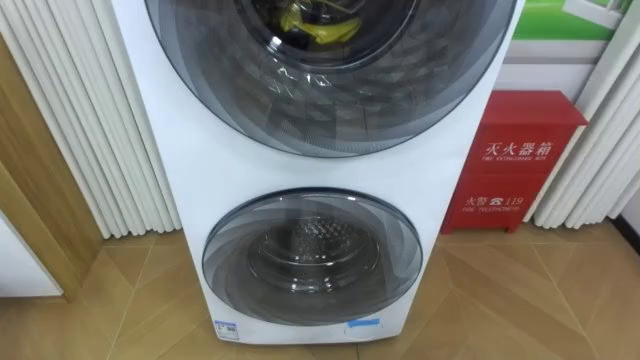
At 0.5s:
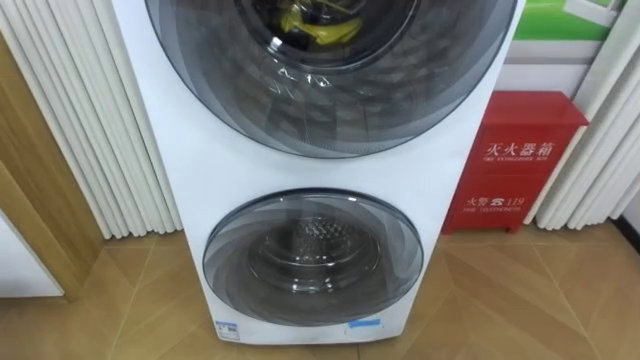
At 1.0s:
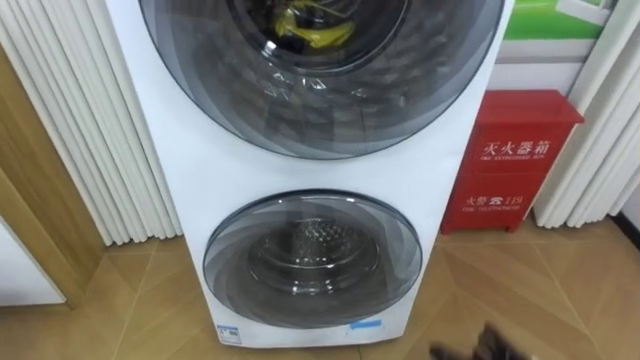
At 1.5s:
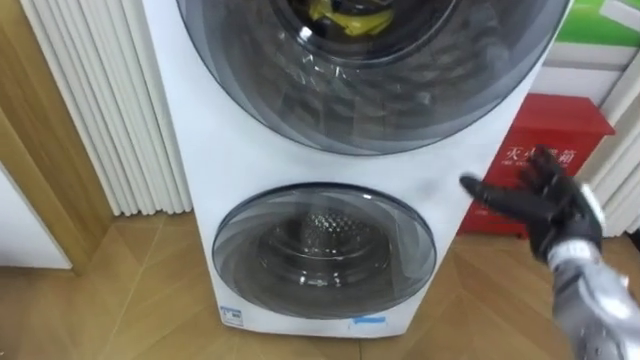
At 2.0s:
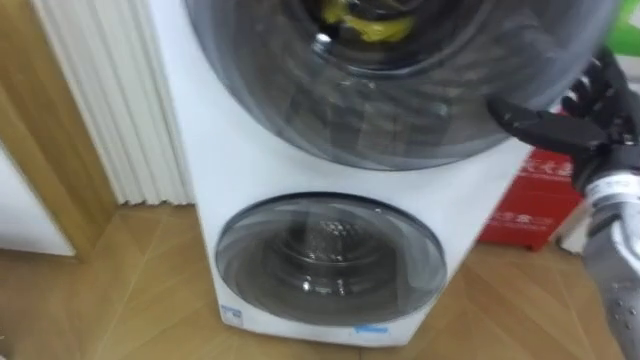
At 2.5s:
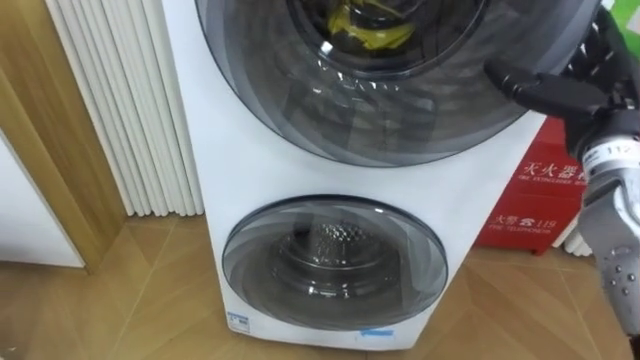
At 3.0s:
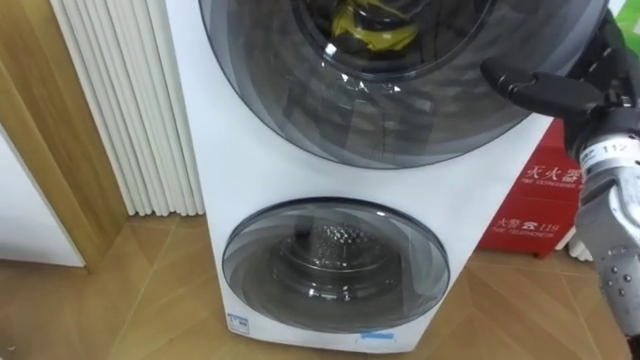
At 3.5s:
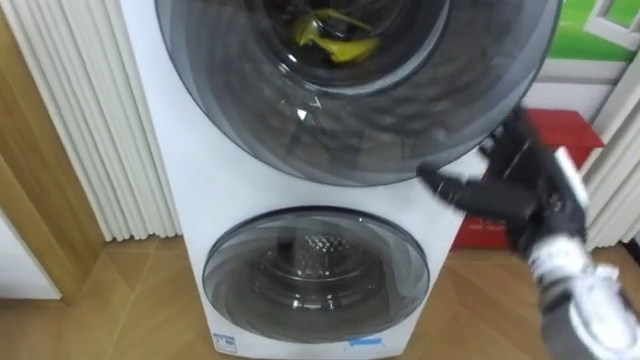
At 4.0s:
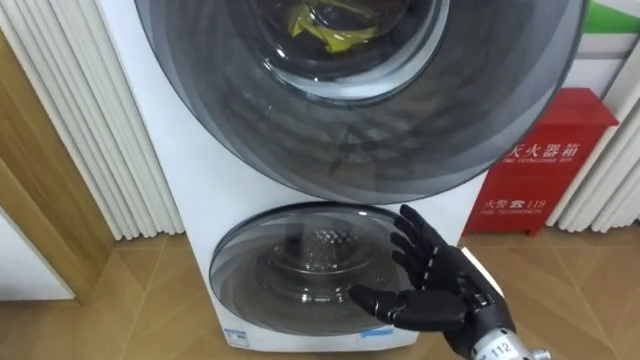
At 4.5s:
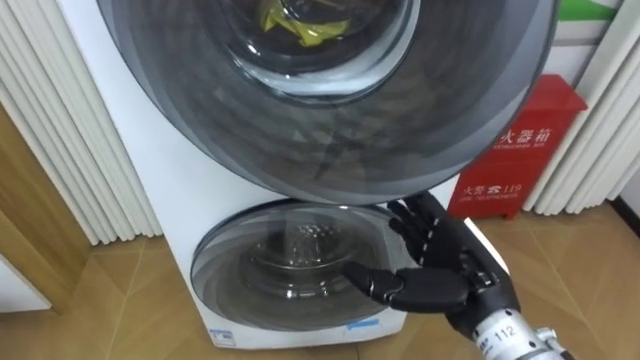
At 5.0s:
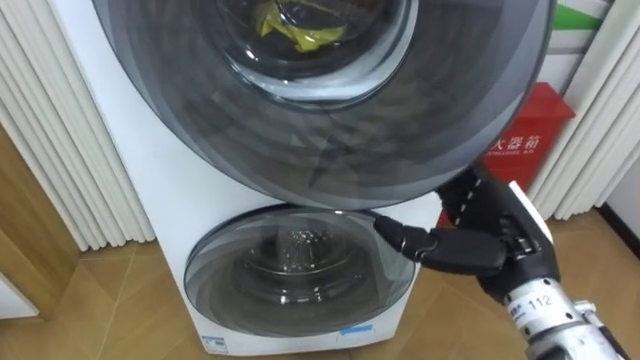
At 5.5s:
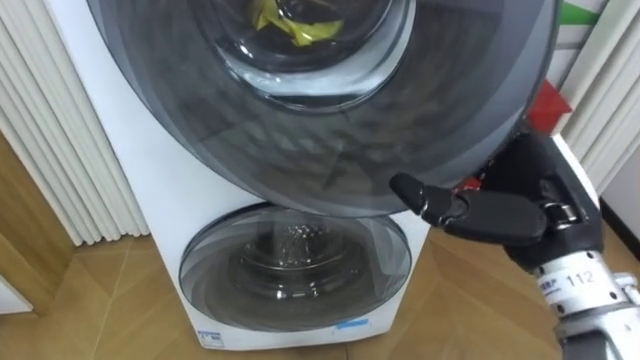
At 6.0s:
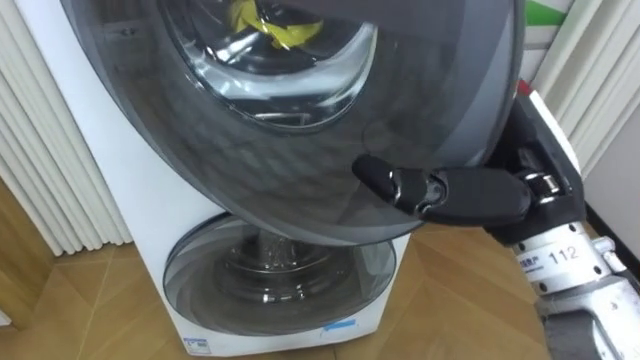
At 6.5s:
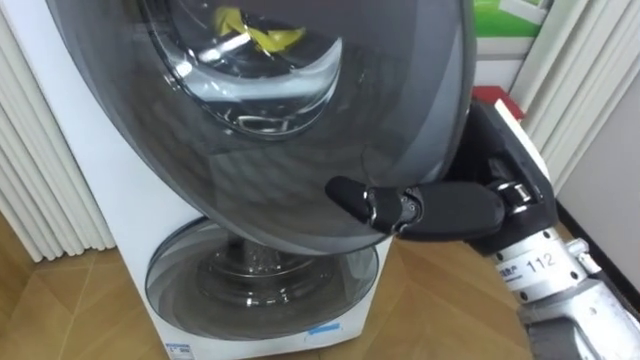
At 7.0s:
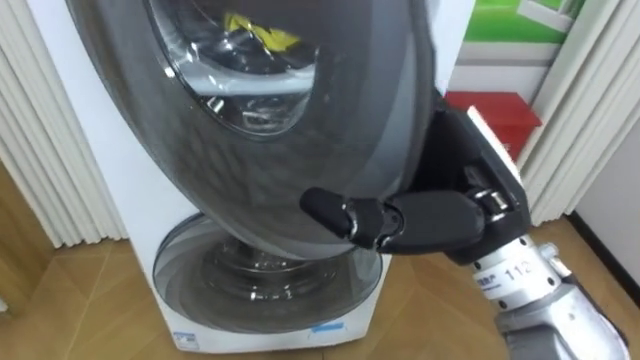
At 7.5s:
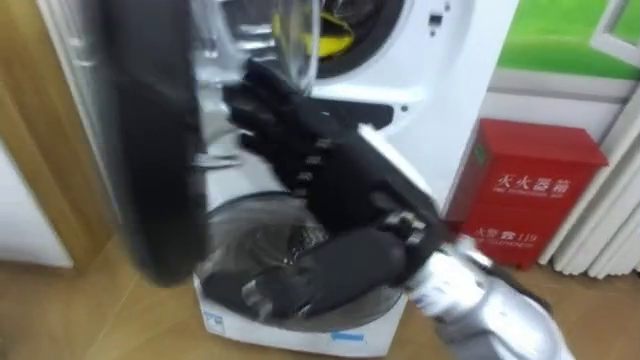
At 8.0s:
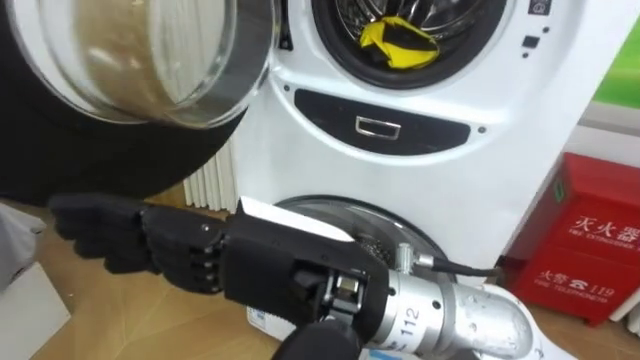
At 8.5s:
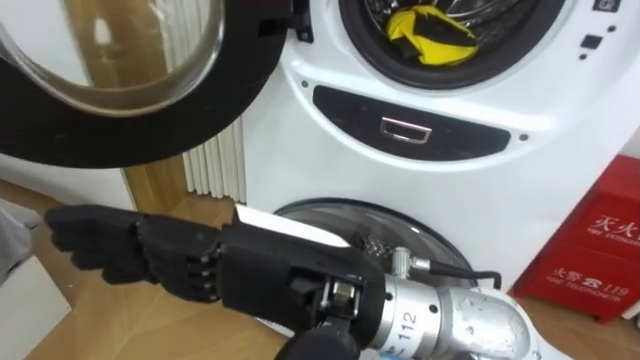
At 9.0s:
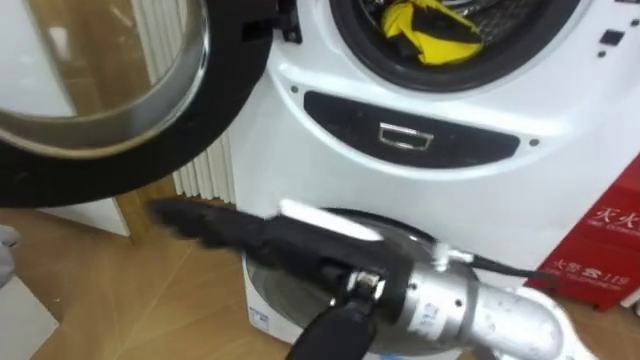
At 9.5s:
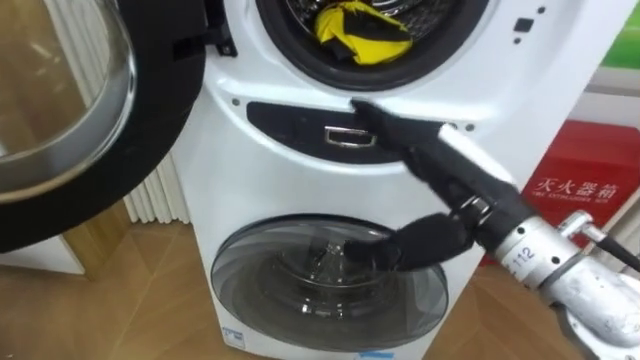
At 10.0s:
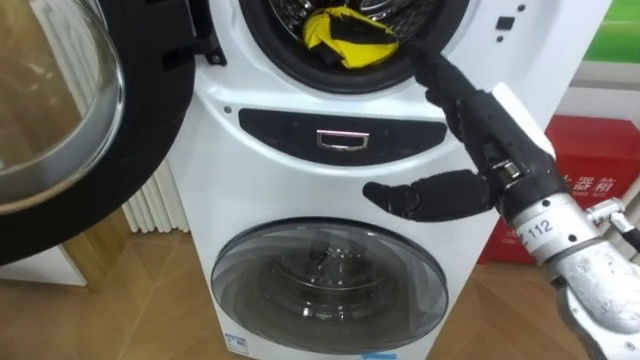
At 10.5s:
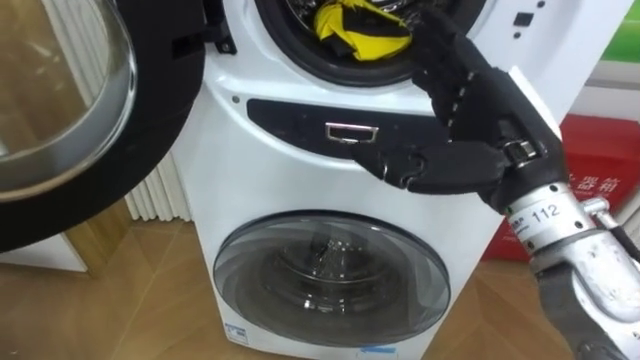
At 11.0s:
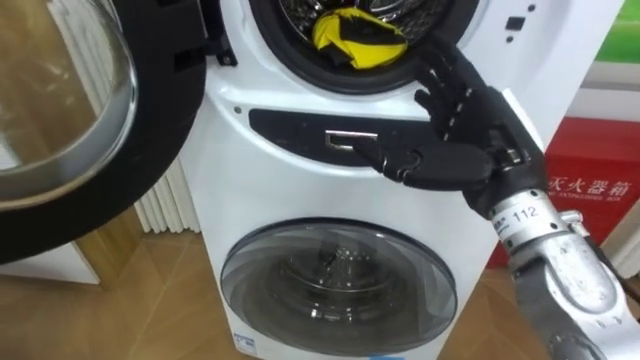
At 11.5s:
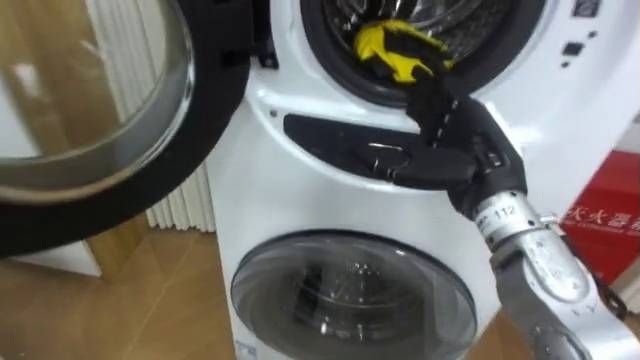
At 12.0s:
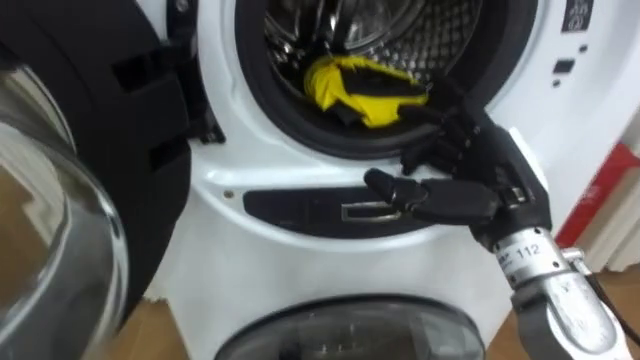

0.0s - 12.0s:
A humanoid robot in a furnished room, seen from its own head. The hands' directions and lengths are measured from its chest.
Task of the whole recording: Open the washing machine door, take out the yellow clothes, place them in the box on the right, and close the washing machine door.
2.0s - 4.0s: The right hand goes about 20 cm to the left, downward and backward.
4.0s - 6.0s: The right hand travels upward by roughly 20 cm.
6.0s - 8.0s: The right hand goes some 20 cm to the left and backward.
8.0s - 10.0s: The right hand heads to the right and forward, covering some 20 cm.

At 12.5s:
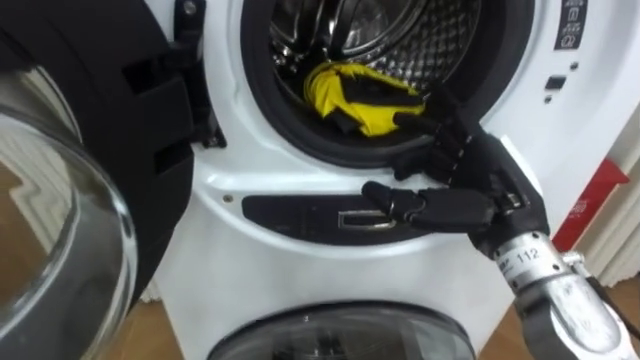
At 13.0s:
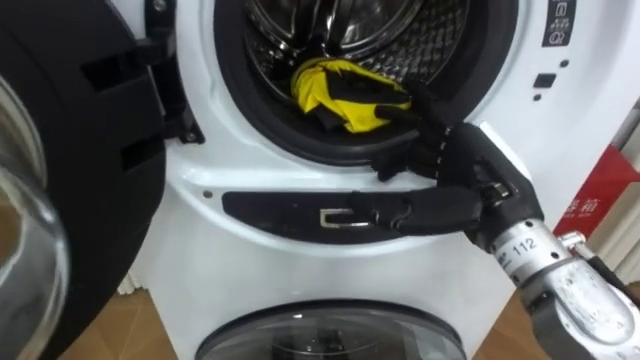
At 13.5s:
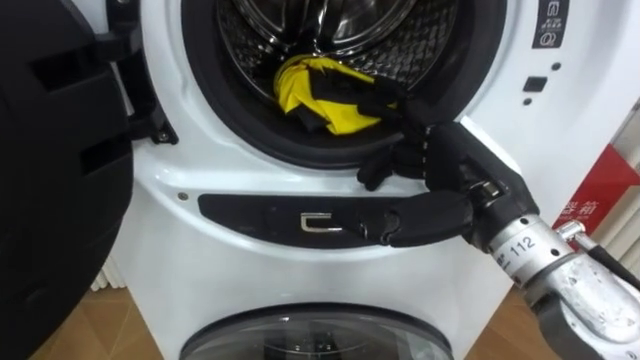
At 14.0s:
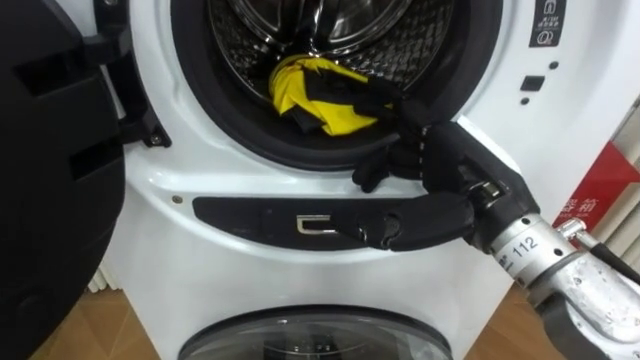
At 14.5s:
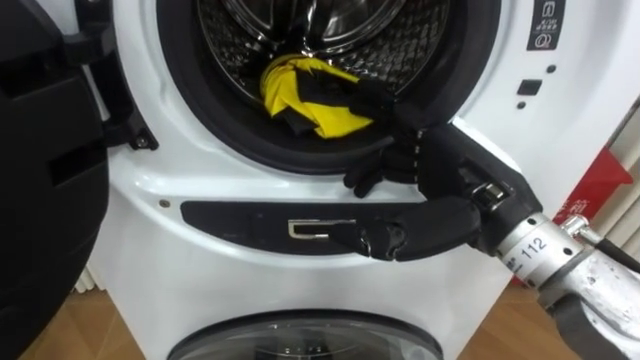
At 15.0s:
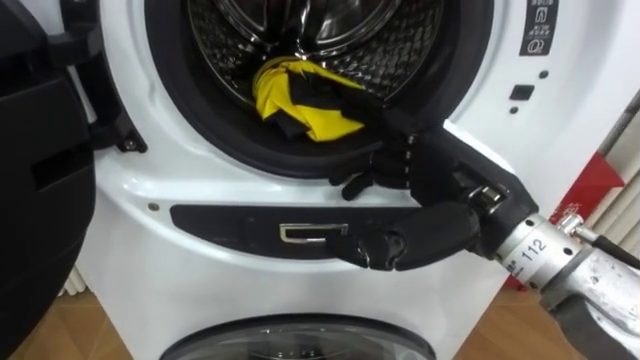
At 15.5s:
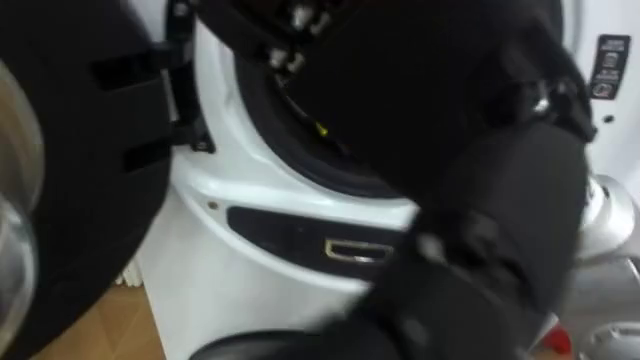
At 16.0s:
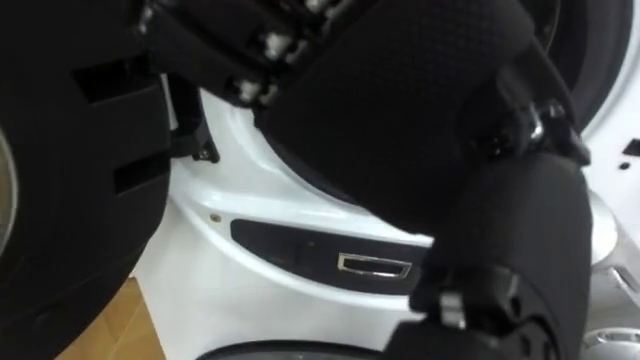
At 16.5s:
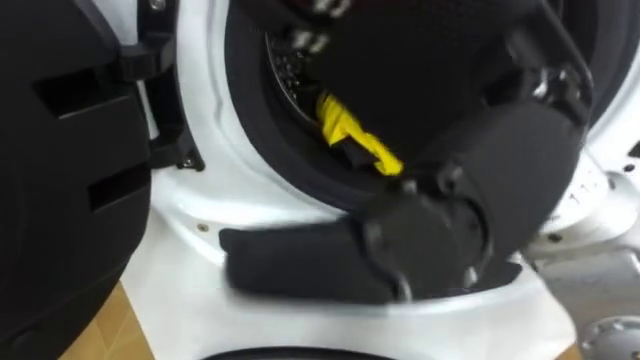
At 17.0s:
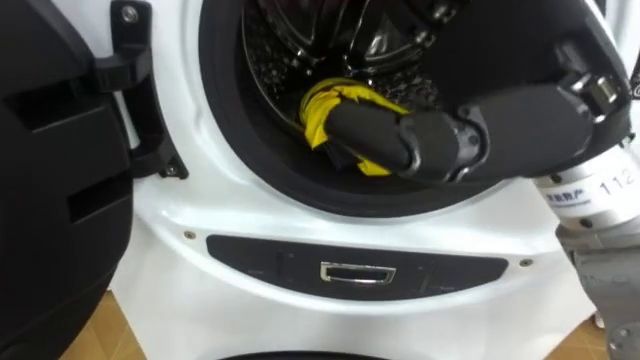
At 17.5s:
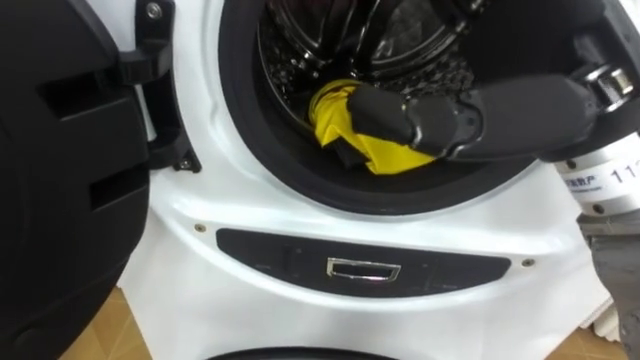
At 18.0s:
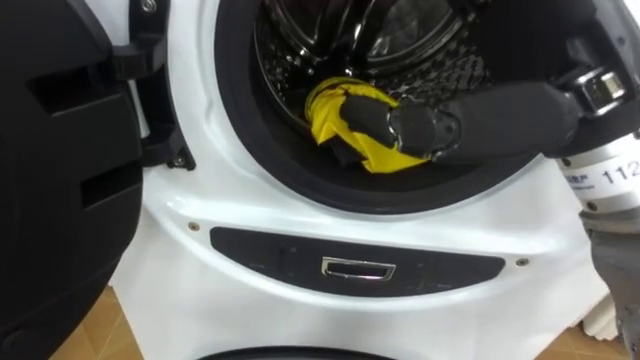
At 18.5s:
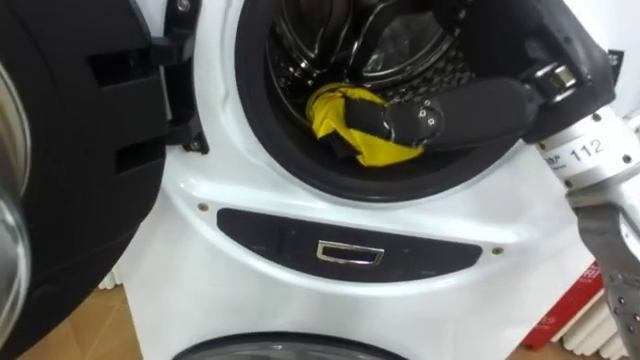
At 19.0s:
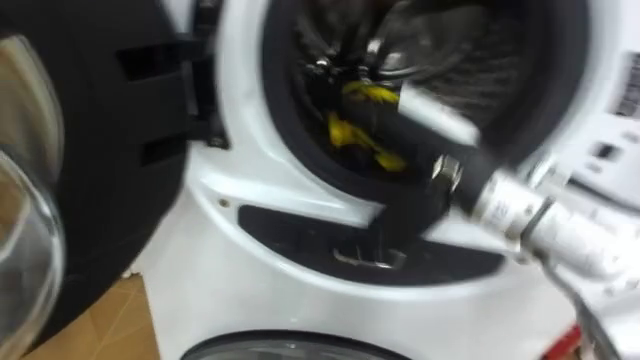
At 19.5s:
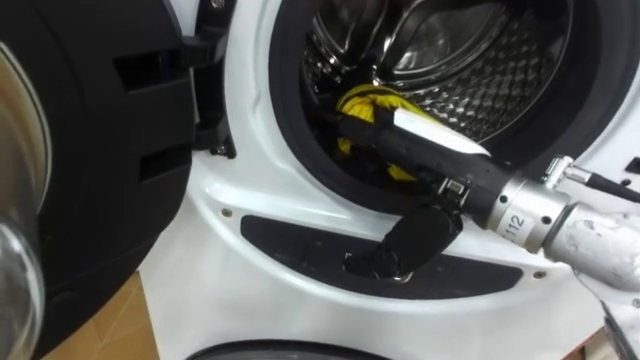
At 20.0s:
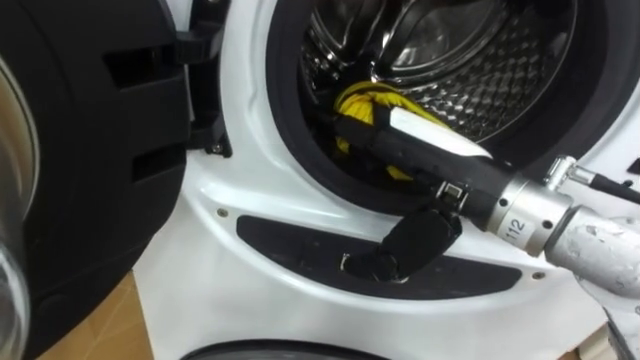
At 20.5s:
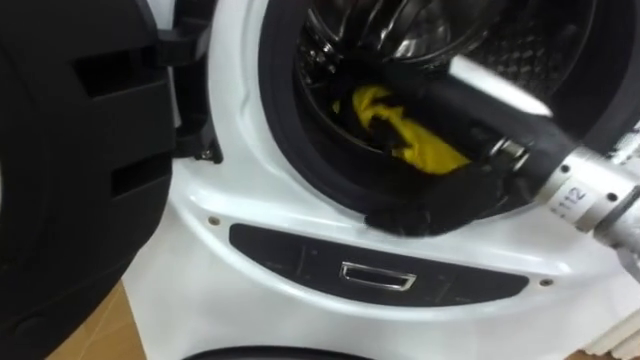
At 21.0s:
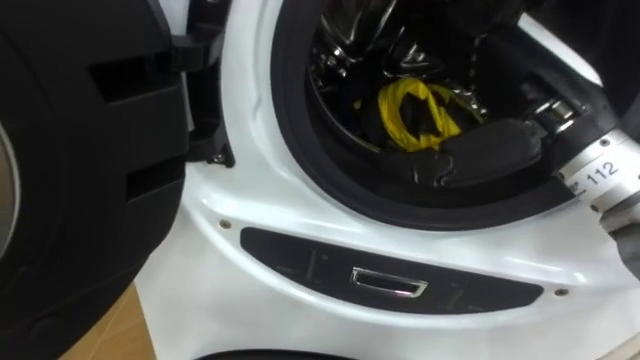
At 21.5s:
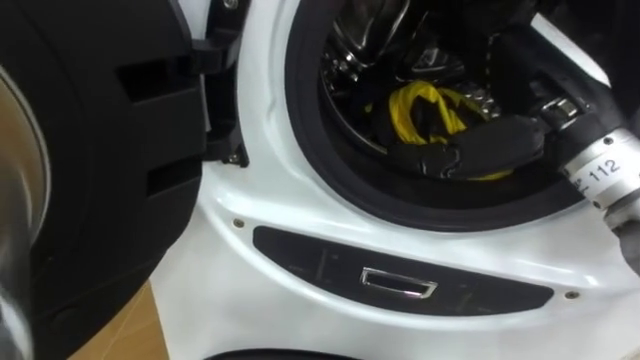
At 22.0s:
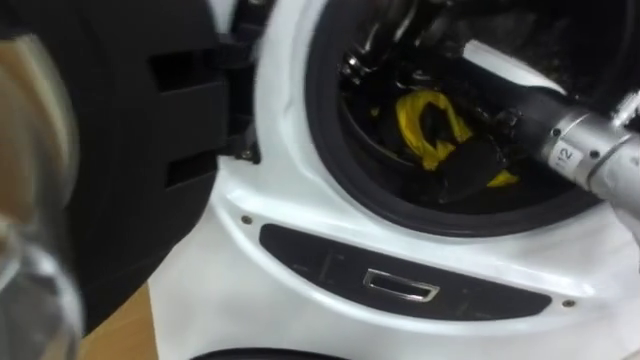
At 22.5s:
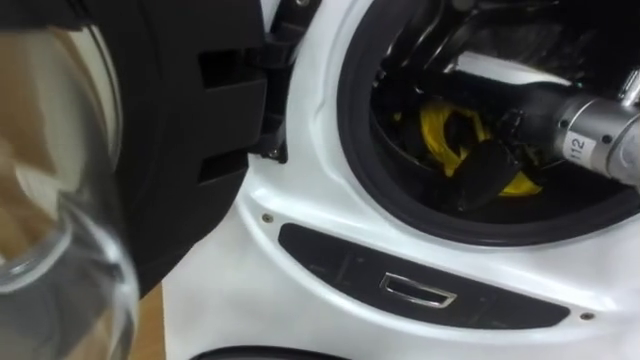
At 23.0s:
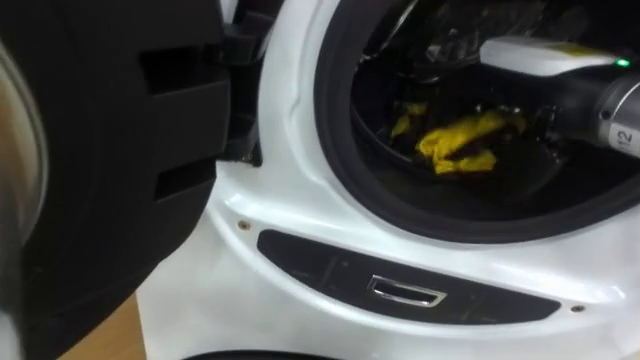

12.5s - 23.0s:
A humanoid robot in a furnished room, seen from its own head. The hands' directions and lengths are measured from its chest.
Task of the whole recording: Open the washing machine door, take out the yellow clothes, place them in the box on the right, and close the washing machine door.
12.5s - 14.5s: The right hand ends up some 5 cm from where it was.
14.5s - 16.5s: The right hand travels upward, backward and to the left by approximately 20 cm.
16.5s - 19.0s: The right hand shifts roughly 15 cm downward and forward.
19.0s - 21.0s: The right hand goes roughly 10 cm to the right and upward.
21.0s - 23.0s: The right hand closes.
